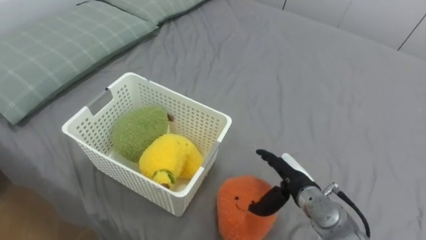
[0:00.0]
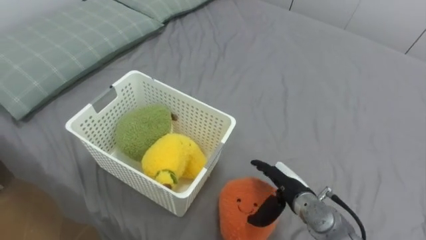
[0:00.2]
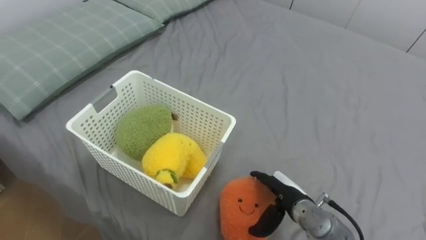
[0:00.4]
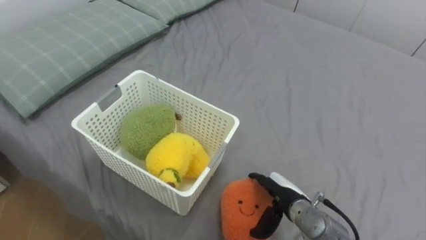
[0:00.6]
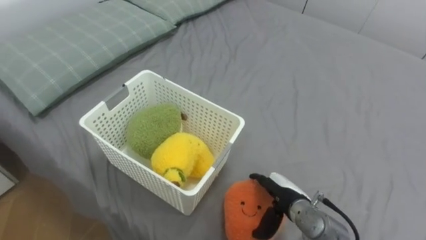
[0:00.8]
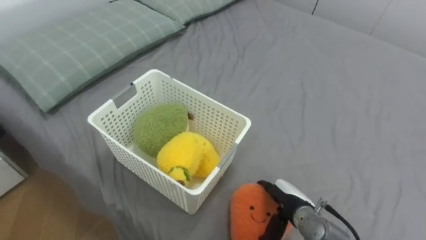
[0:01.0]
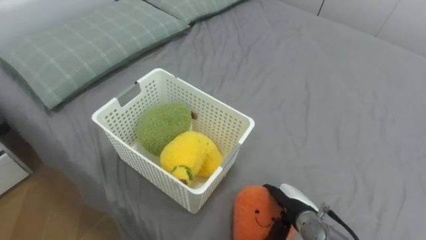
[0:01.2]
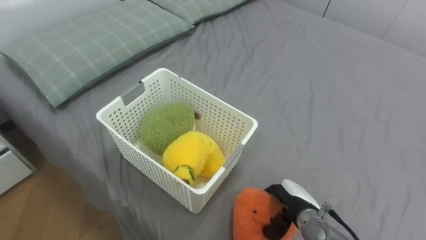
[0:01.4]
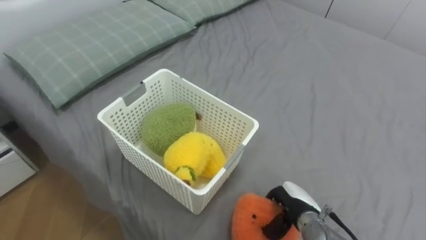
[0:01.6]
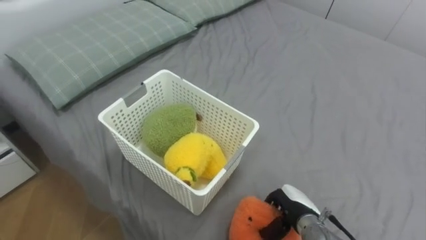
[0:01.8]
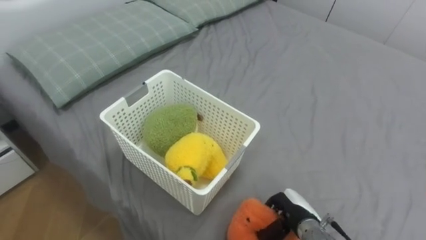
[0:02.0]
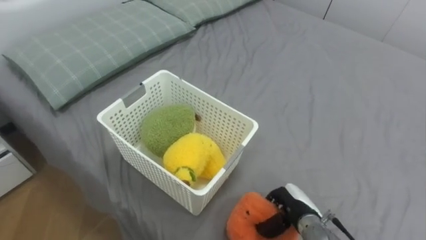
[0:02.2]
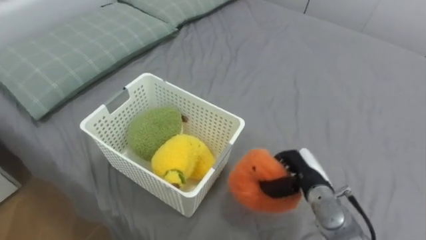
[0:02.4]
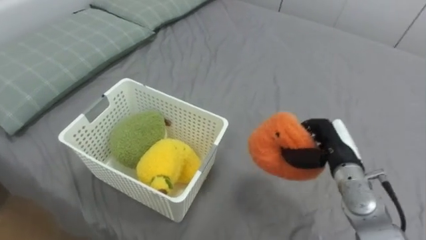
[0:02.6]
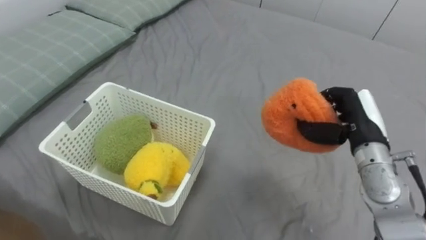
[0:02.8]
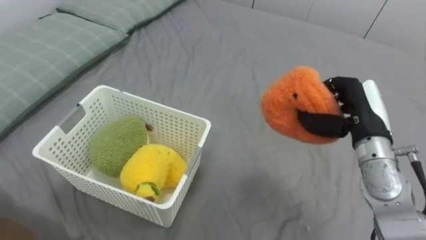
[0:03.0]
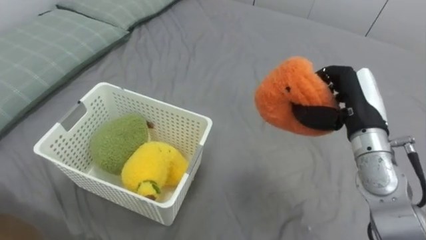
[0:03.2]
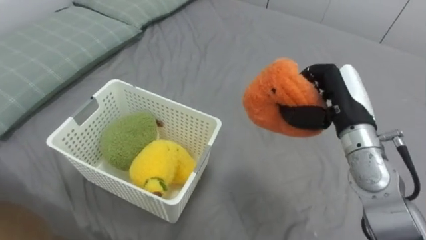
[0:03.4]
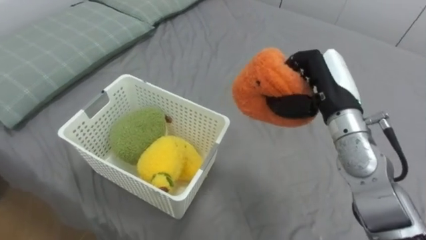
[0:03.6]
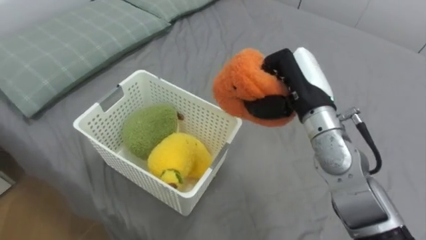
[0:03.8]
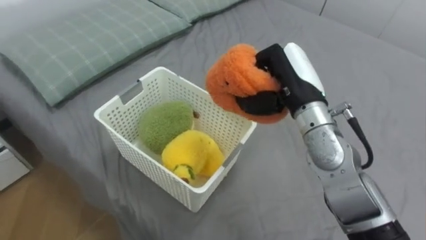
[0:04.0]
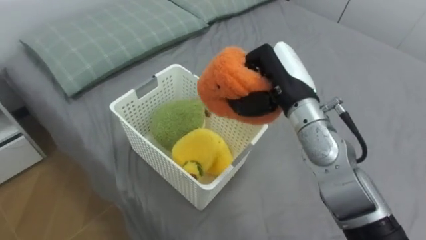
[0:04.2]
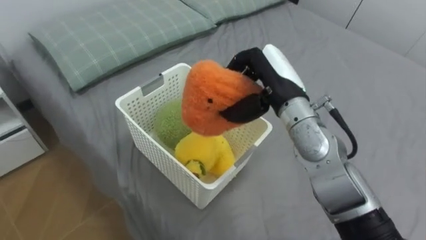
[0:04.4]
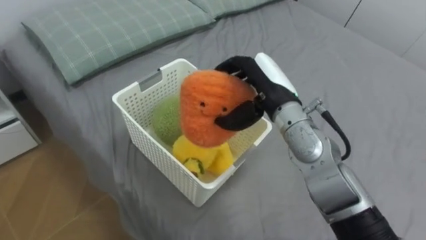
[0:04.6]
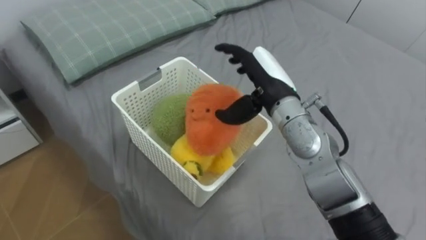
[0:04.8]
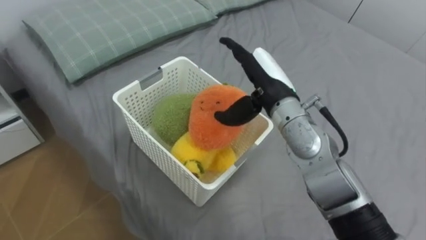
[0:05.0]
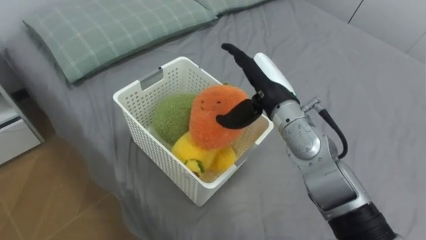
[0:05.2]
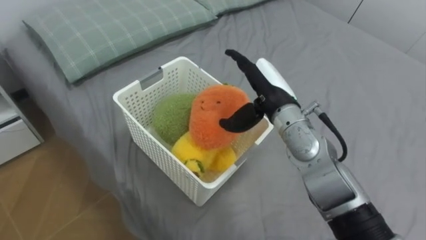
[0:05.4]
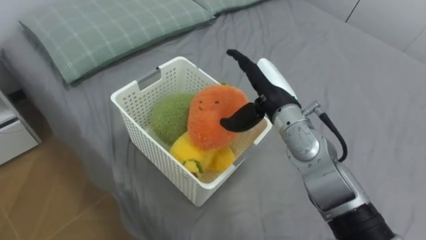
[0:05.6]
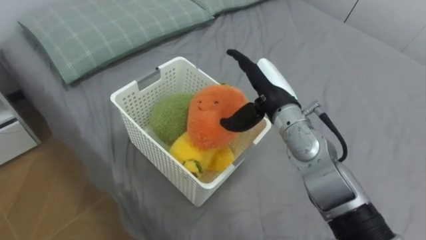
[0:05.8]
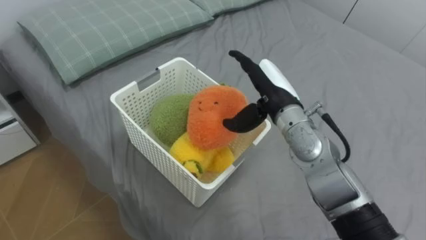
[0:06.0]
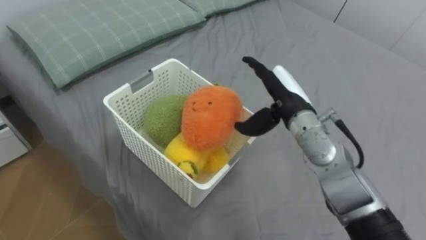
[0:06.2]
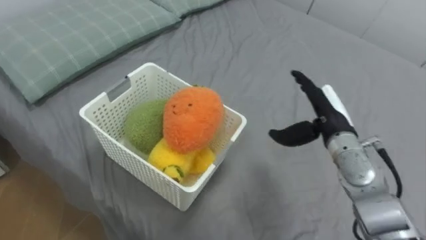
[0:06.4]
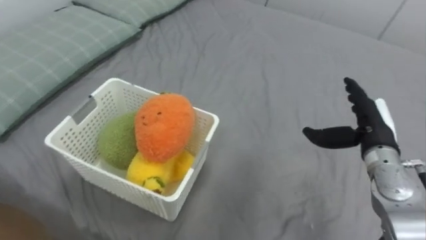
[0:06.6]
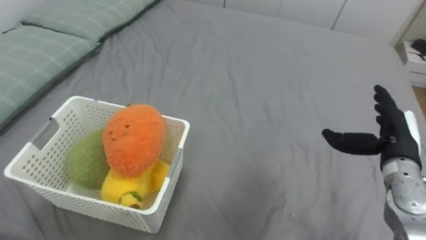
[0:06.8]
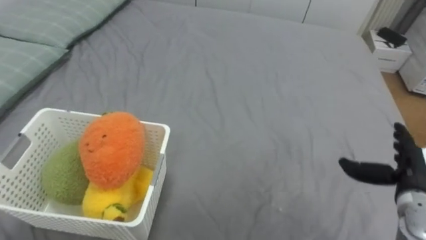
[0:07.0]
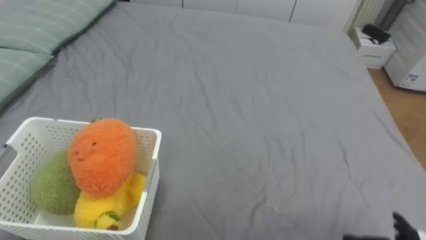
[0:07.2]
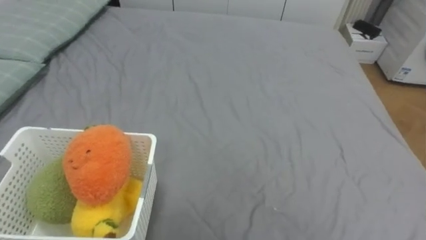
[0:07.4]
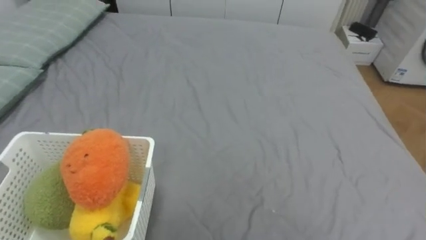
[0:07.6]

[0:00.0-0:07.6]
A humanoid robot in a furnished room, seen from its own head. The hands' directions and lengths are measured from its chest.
Task of the whole recording: Put the toys on the bed into the basket on the left.
0.0 to 1.6 s: The right hand heads downward, covering approximately 5 cm, and closes.
1.6 to 3.0 s: The right hand is displaced upward and to the right by roughly 20 cm.
3.0 to 4.6 s: The right hand shifts approximately 15 cm to the left, and opens up.
4.6 to 6.0 s: The right hand opens.

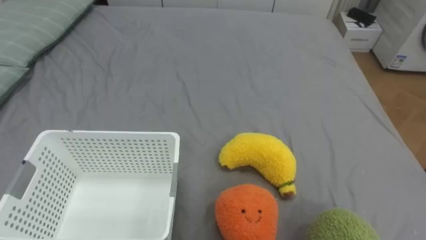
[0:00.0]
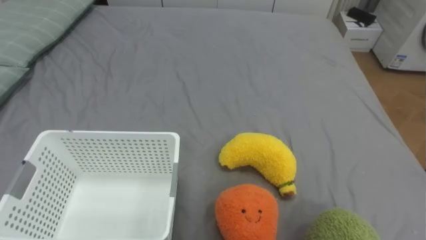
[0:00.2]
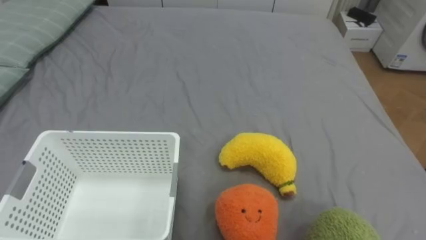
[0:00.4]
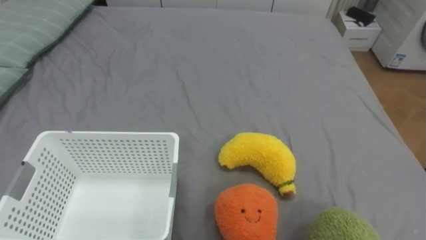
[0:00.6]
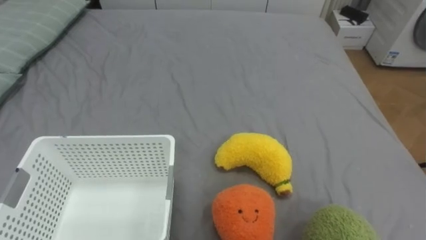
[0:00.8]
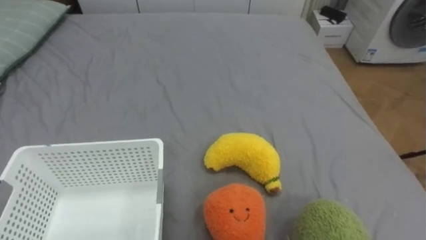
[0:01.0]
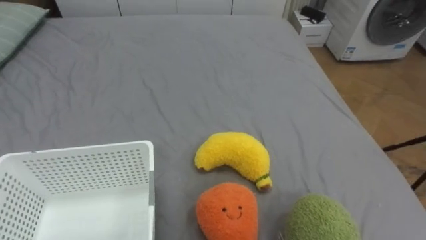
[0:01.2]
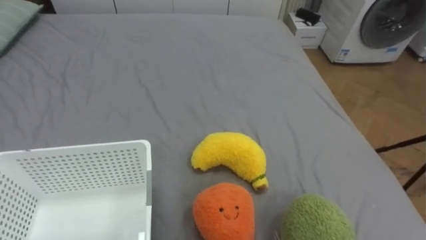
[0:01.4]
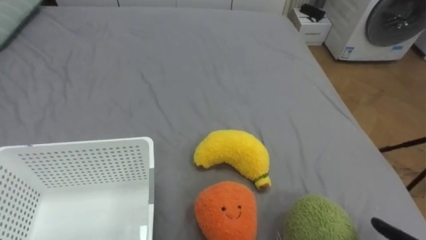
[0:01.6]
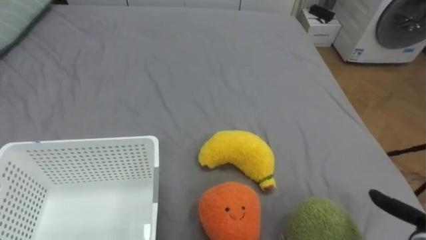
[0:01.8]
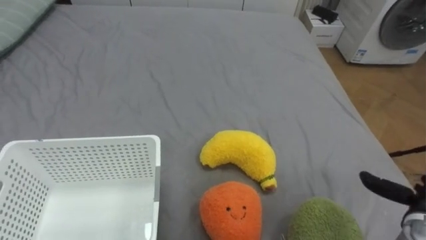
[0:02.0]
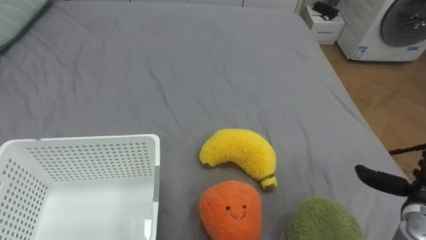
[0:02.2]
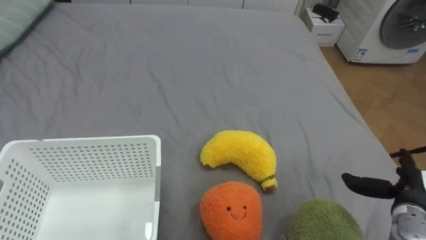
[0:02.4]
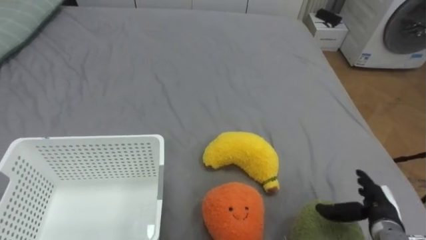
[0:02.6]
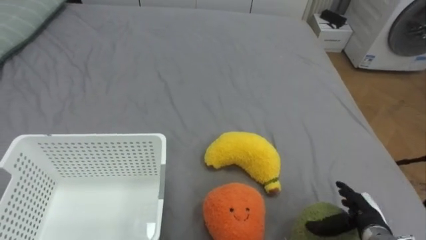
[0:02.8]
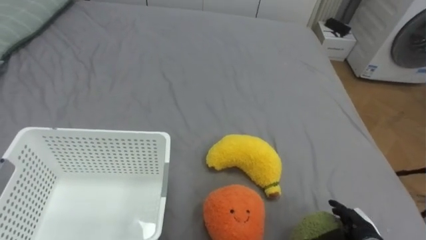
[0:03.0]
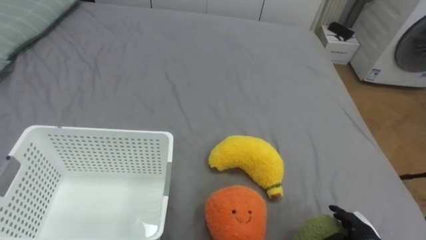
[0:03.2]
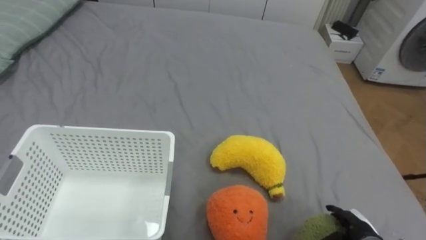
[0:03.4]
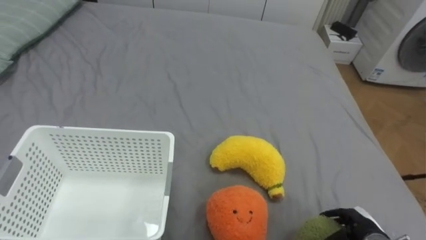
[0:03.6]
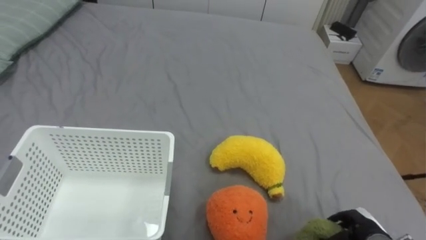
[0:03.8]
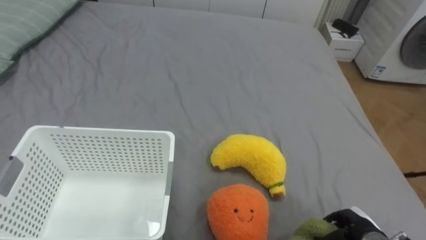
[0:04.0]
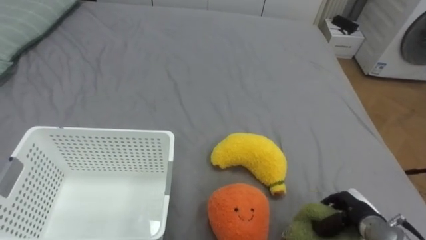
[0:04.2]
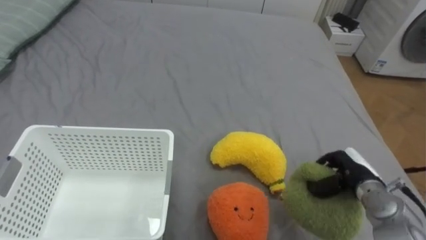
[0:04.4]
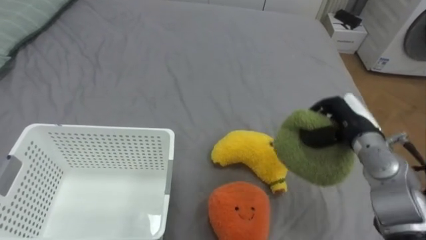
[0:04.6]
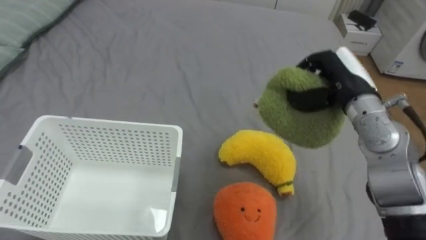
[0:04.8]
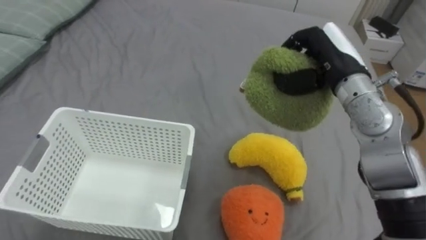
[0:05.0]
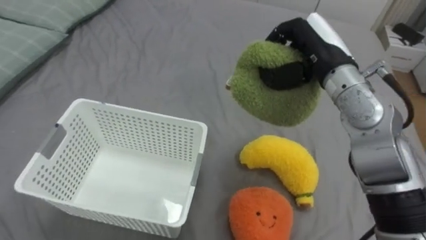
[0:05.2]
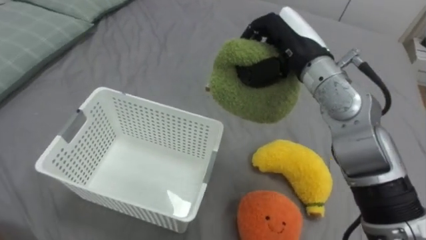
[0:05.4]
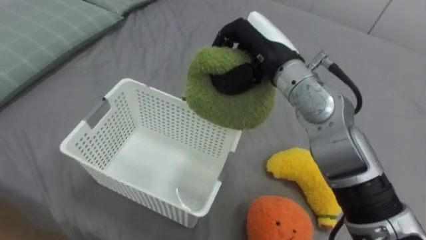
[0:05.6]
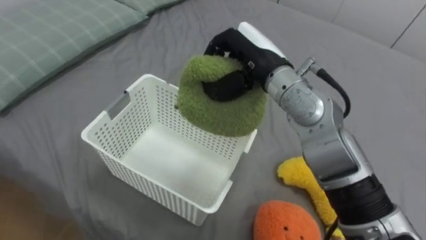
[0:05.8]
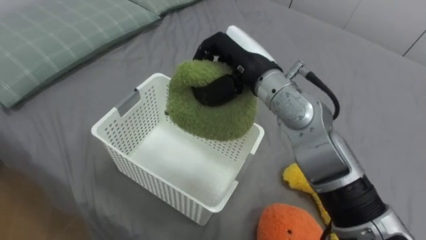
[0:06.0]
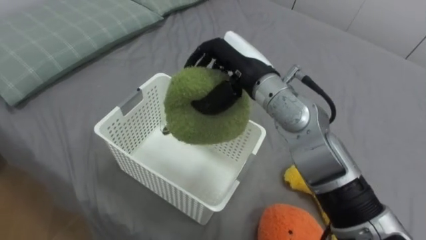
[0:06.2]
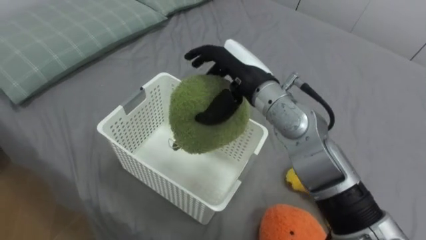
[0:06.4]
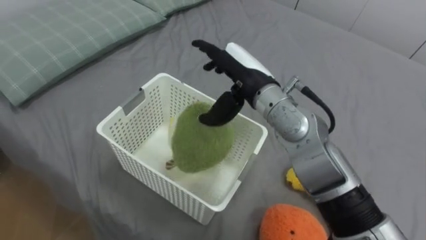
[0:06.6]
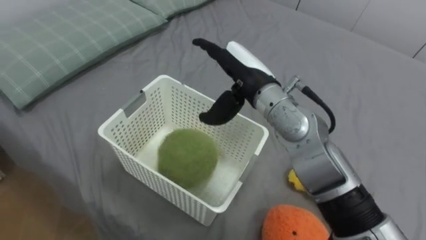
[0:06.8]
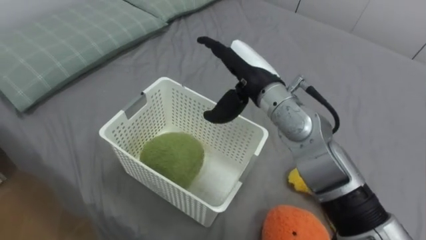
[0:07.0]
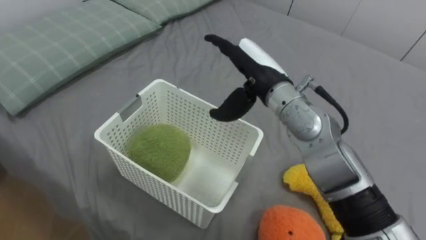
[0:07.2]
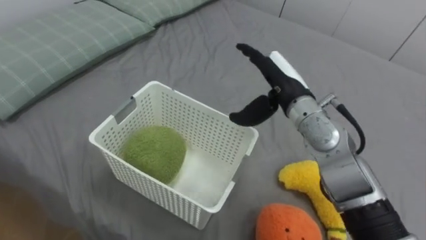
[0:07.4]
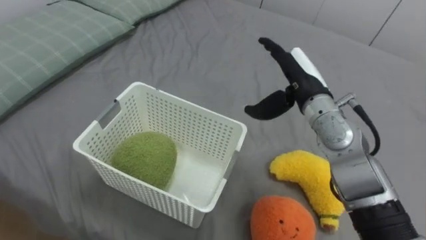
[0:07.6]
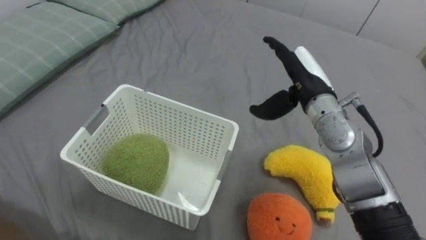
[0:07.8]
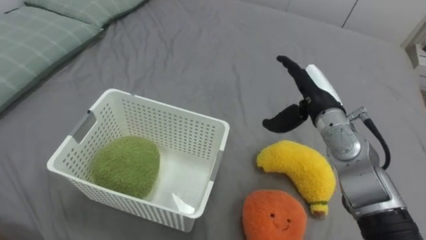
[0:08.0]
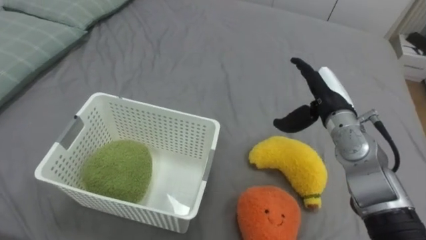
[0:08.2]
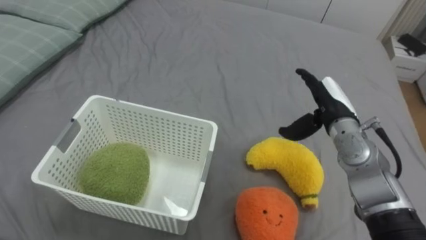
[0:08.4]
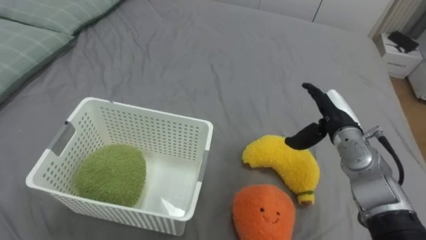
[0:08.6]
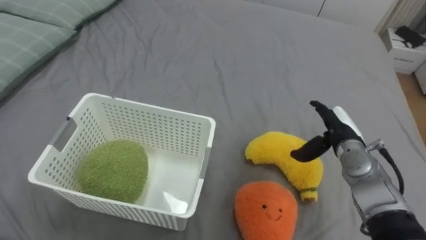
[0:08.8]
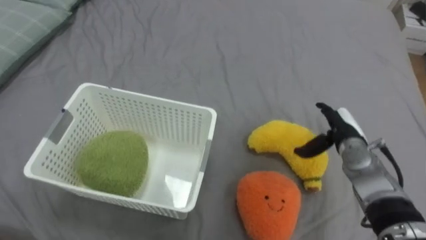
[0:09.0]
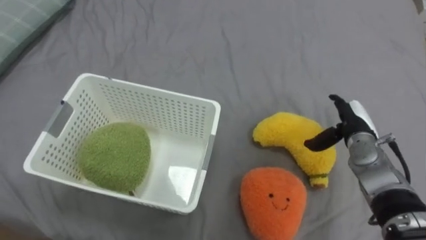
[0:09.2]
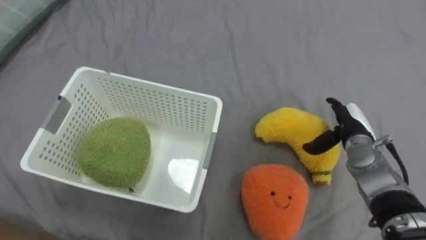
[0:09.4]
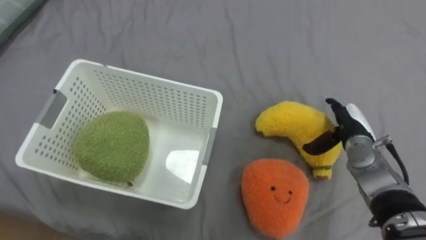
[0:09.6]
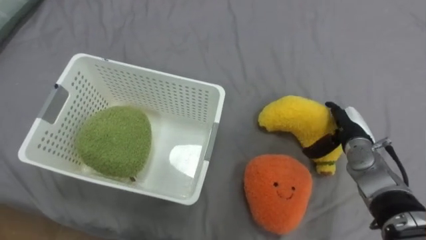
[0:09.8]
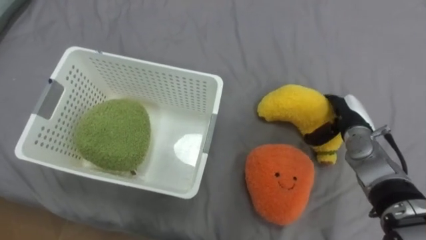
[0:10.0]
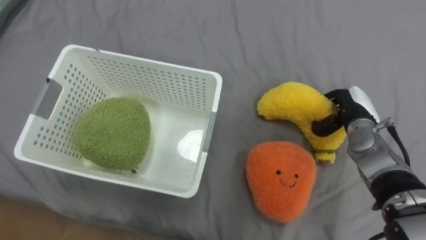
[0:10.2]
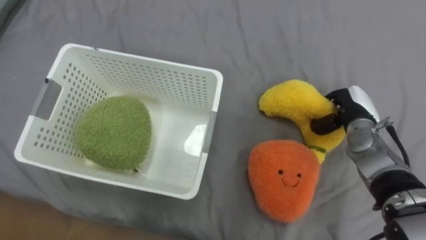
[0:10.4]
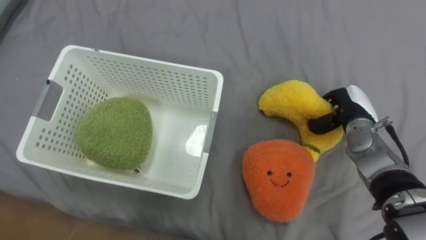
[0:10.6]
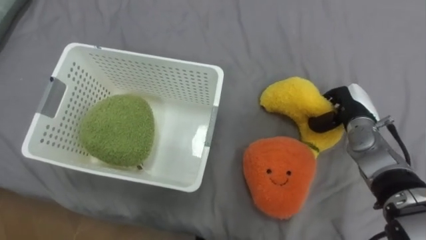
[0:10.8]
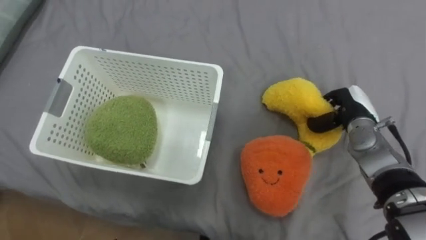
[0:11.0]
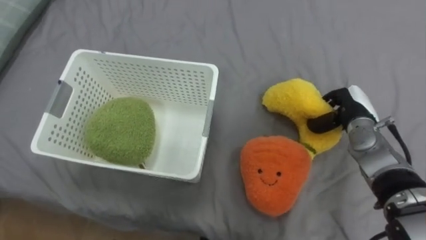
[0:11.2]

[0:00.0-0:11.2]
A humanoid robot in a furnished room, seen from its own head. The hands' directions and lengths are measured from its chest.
Task of the whole recording: Put the toys on the bed into the basket on the left.
3.2 to 4.8 s: The right hand goes approximately 30 cm upward and forward, and closes its fingers.
4.8 to 6.4 s: The right hand heads to the left, covering roughly 20 cm, and opens up.
6.4 to 8.0 s: The right hand shifts approximately 15 cm to the right and downward.
8.0 to 9.6 s: The right hand moves downward and to the right, roughly 15 cm.
9.6 to 11.2 s: The right hand closes.
